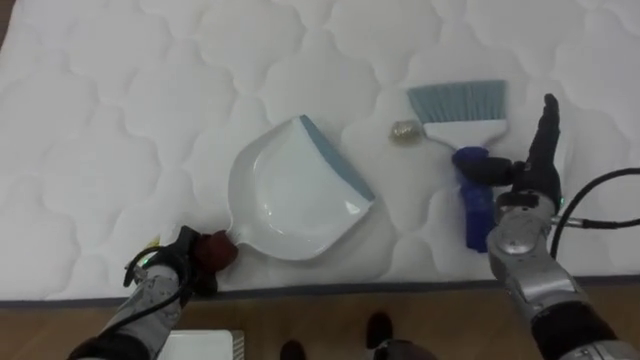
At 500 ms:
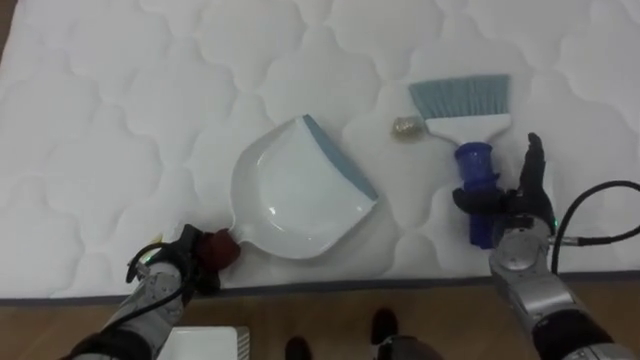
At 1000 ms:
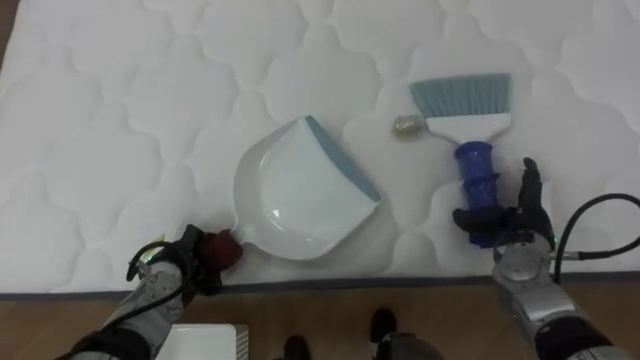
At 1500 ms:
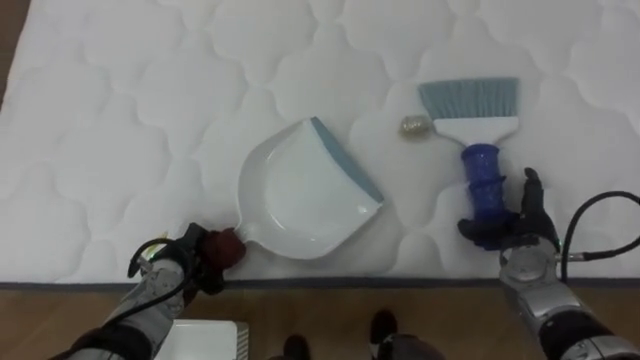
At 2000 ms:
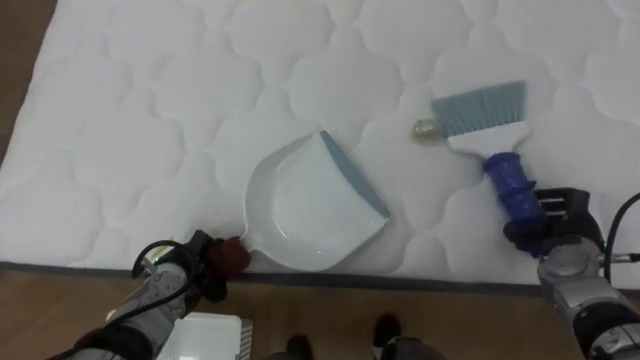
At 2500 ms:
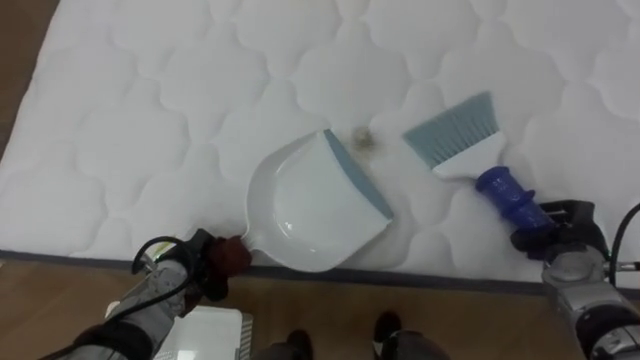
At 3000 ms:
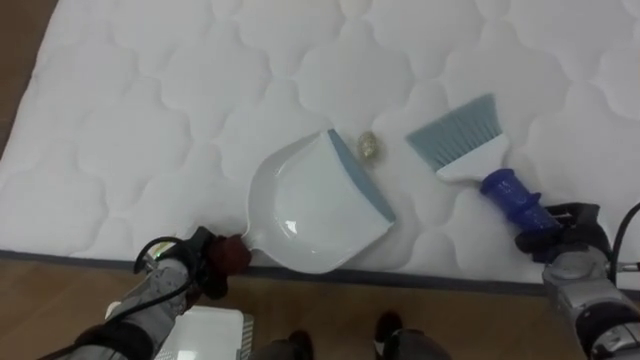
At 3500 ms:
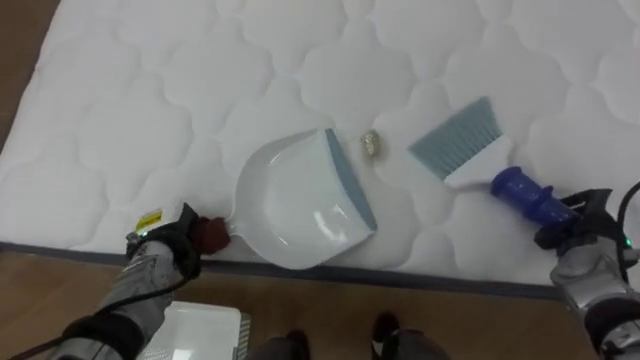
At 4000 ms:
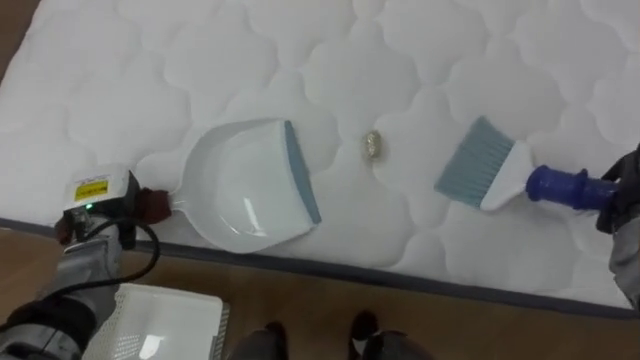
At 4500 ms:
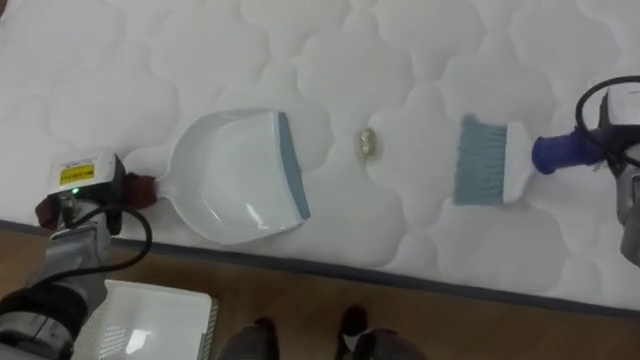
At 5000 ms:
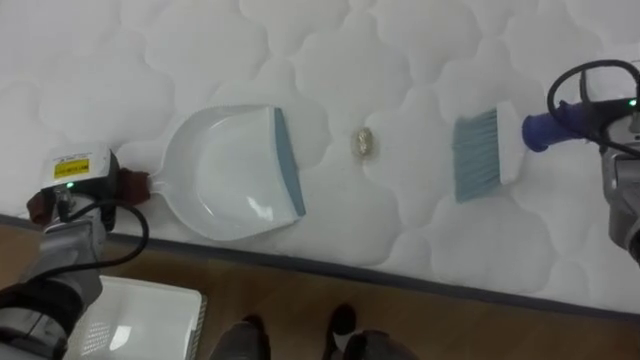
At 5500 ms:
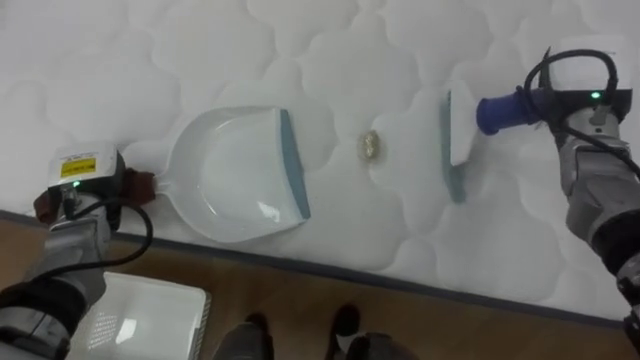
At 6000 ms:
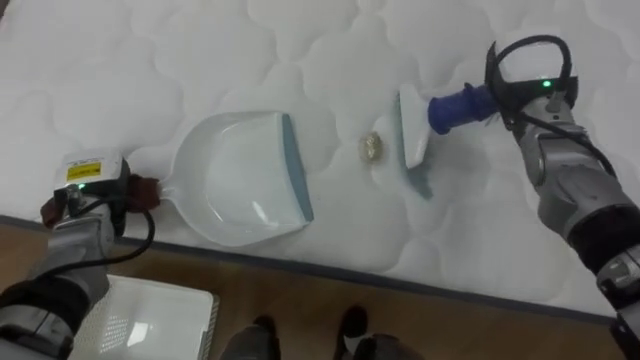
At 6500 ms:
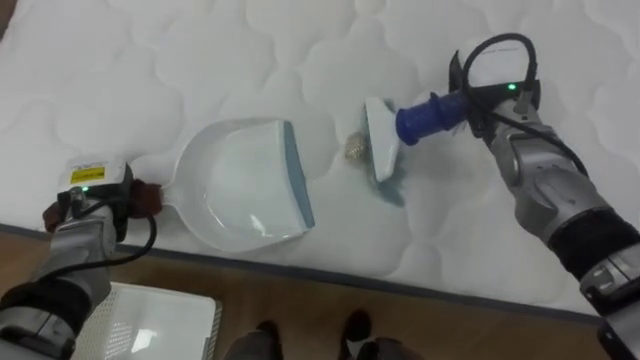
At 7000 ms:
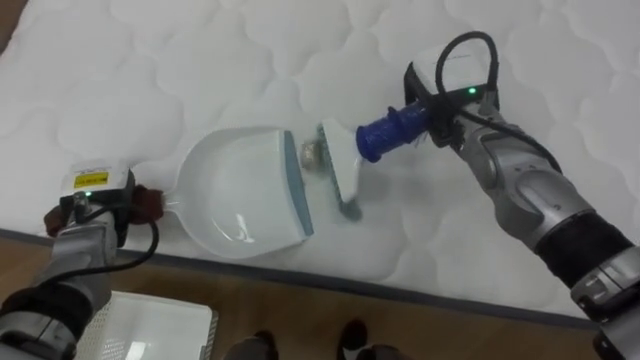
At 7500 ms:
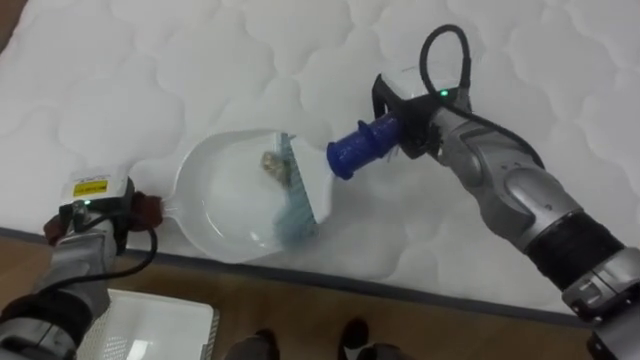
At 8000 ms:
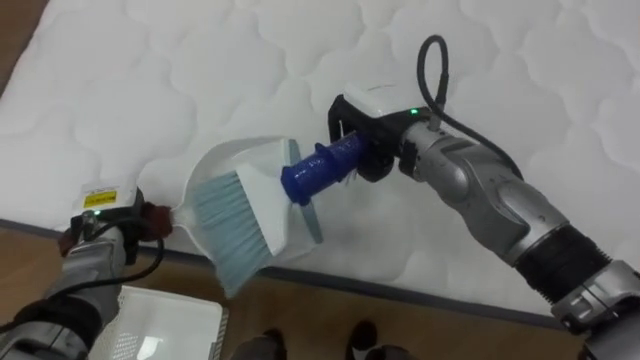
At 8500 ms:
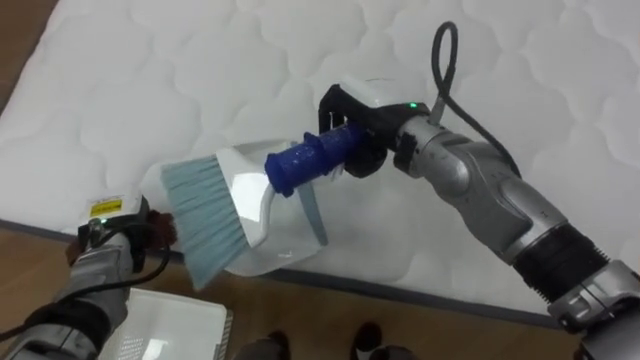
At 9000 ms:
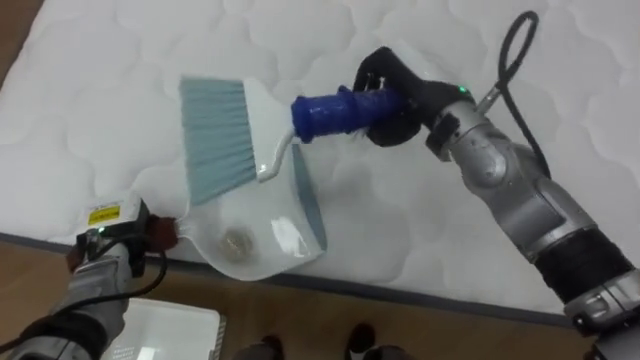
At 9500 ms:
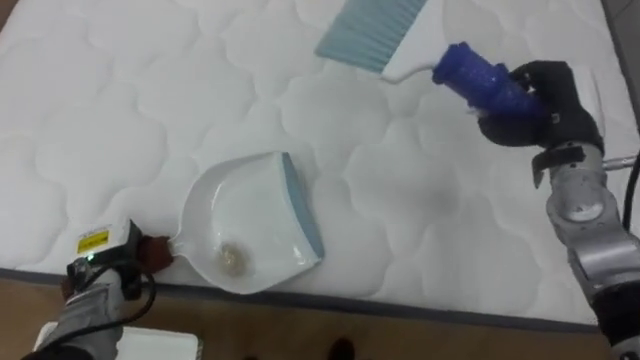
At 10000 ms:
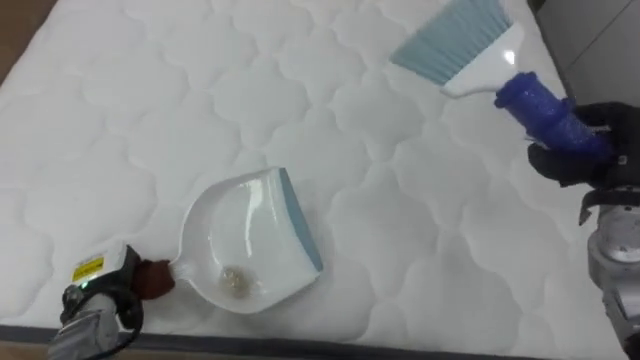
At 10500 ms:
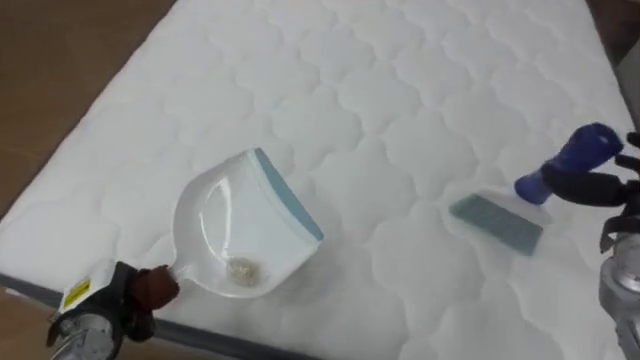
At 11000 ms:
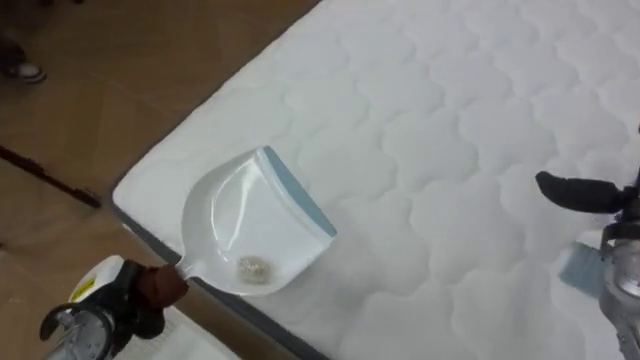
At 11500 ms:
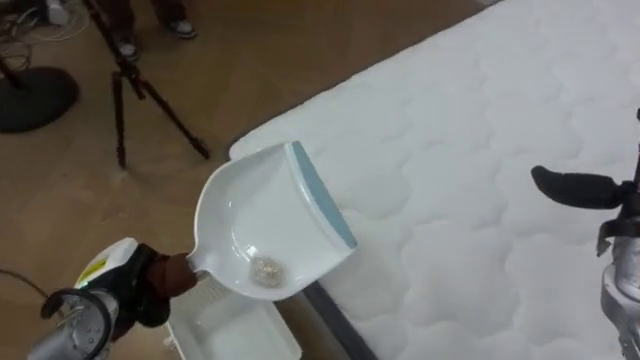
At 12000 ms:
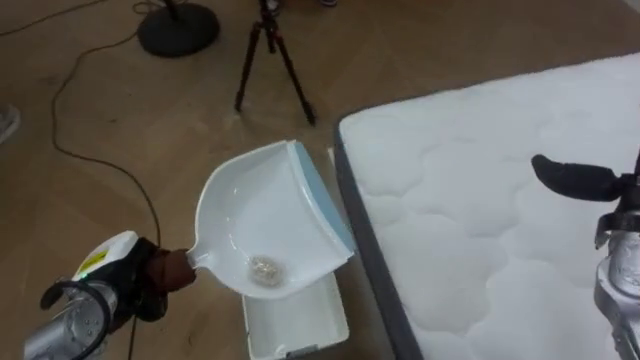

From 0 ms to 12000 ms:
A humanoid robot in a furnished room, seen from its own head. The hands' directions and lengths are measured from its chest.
Task of the whole recording: Pick up the brush on your right and the dustpan on your left. Use the brush to sweep the crumpled paper on the bed into the dustpan, then turn left and empty it into the basket.
From 0 ms to 2000 ms: The right hand shifts some 10 cm downward and to the right, and closes its fingers.
From 2000 ms to 4000 ms: The right hand moves upward and to the right, about 10 cm. Meanwhile the left hand shifts approximately 10 cm to the left and upward.
From 4000 ms to 6000 ms: The right hand heads to the left, upward and forward, covering about 20 cm.
From 6000 ms to 8000 ms: The right hand is displaced to the left by roughly 15 cm.
From 8000 ms to 10000 ms: The right hand goes approximately 30 cm to the right. The left hand goes approximately 10 cm backward.
From 10000 ms to 12000 ms: The robot turns to its left by roughly 75 degrees.

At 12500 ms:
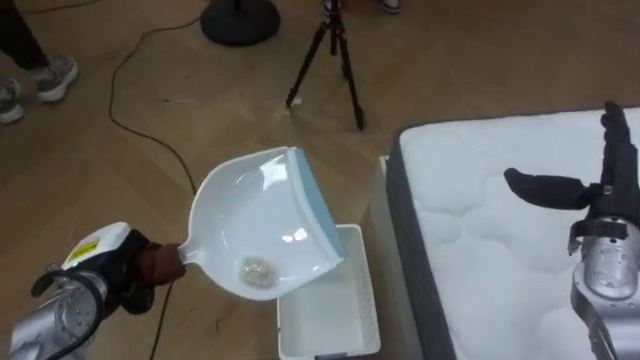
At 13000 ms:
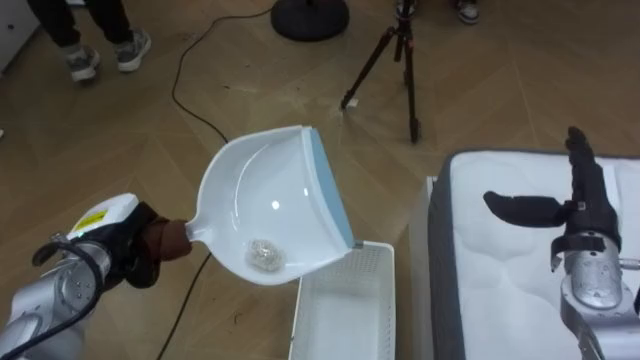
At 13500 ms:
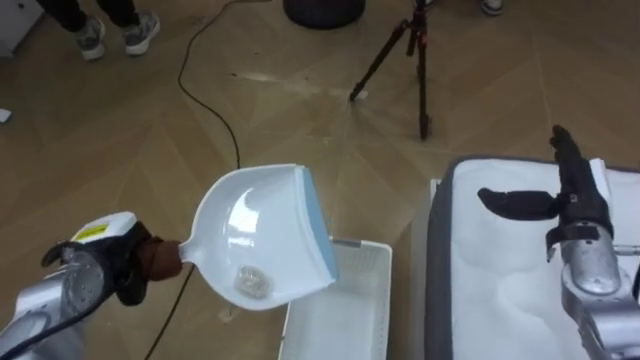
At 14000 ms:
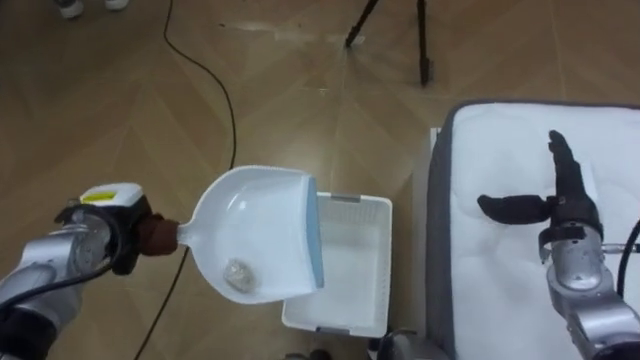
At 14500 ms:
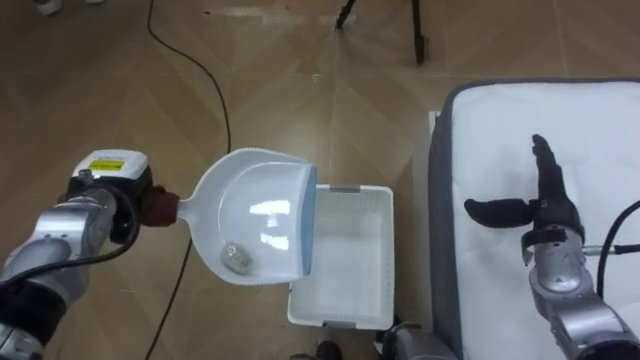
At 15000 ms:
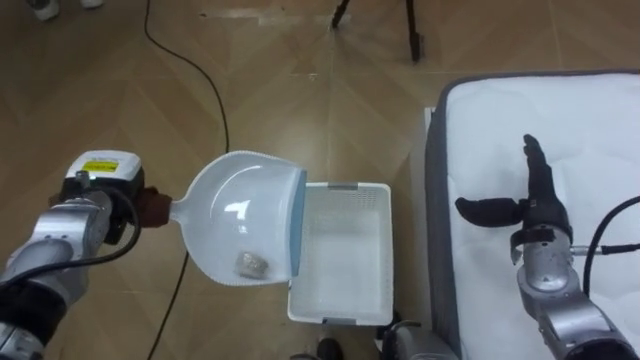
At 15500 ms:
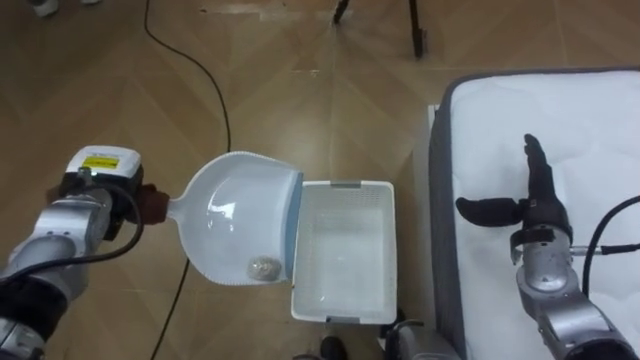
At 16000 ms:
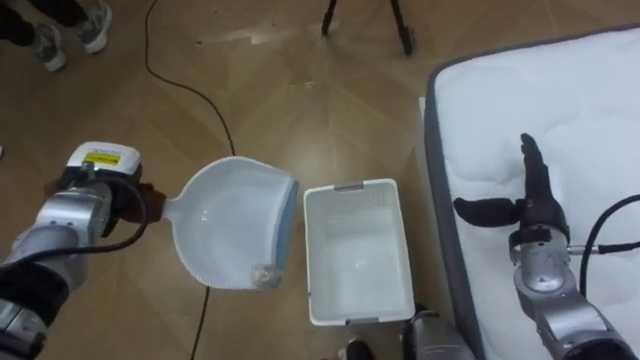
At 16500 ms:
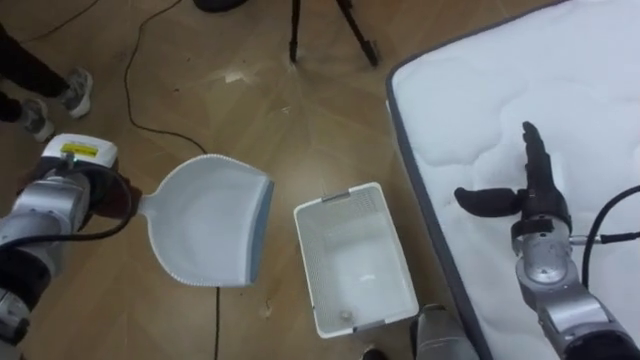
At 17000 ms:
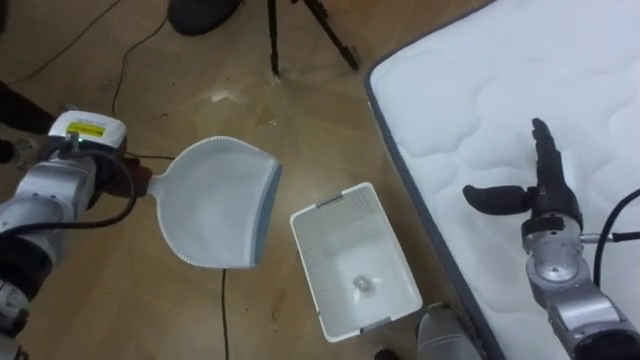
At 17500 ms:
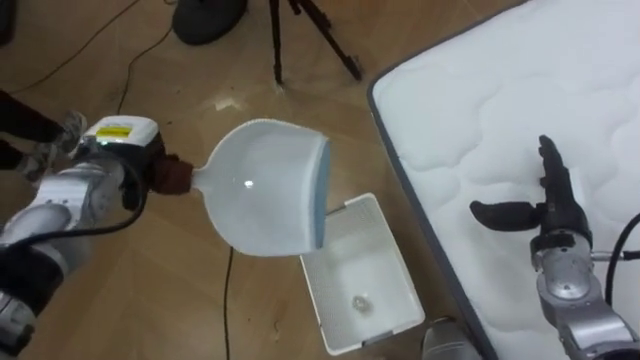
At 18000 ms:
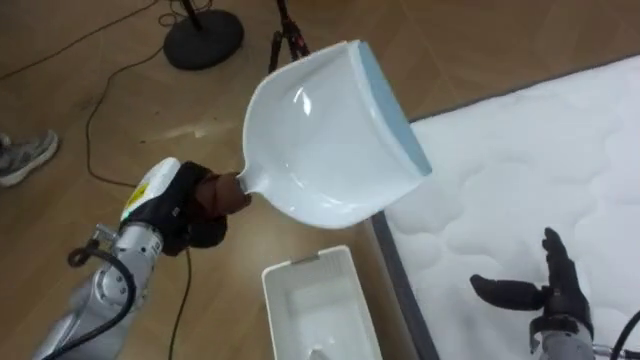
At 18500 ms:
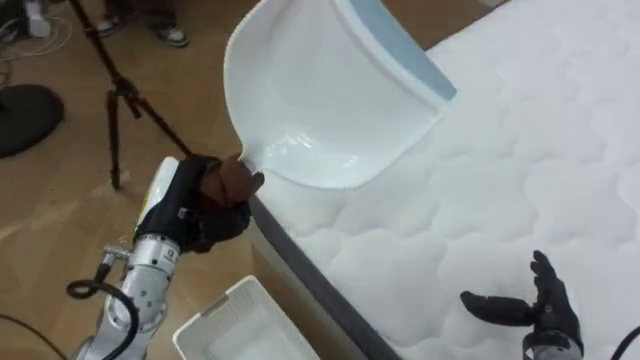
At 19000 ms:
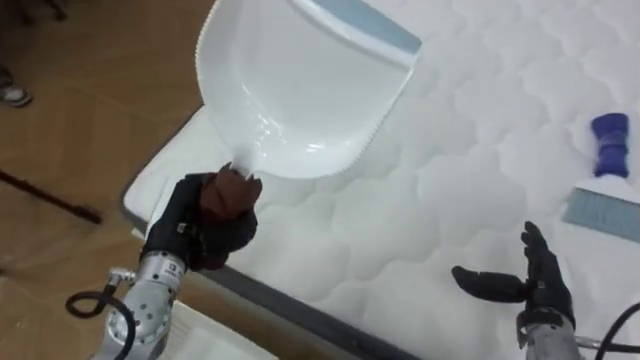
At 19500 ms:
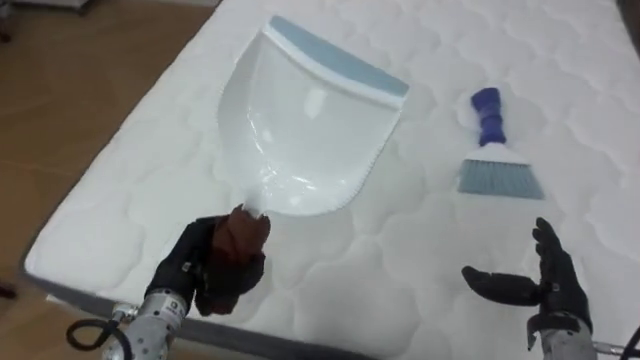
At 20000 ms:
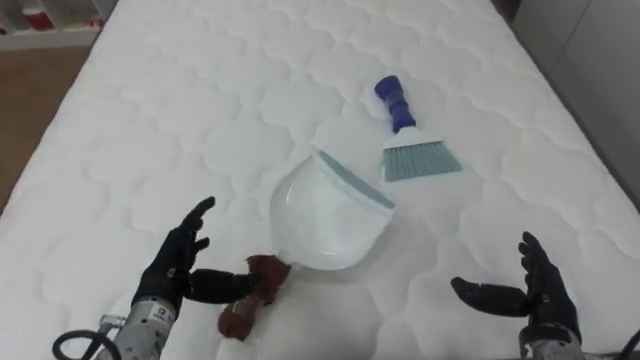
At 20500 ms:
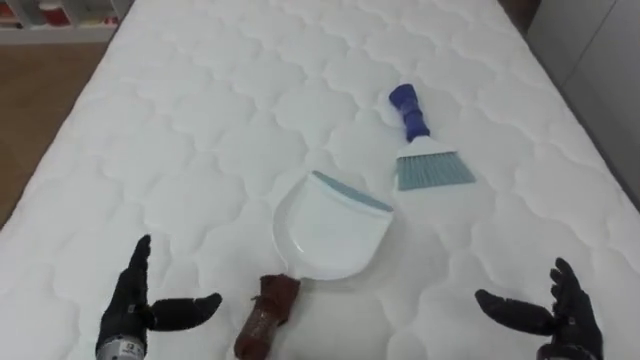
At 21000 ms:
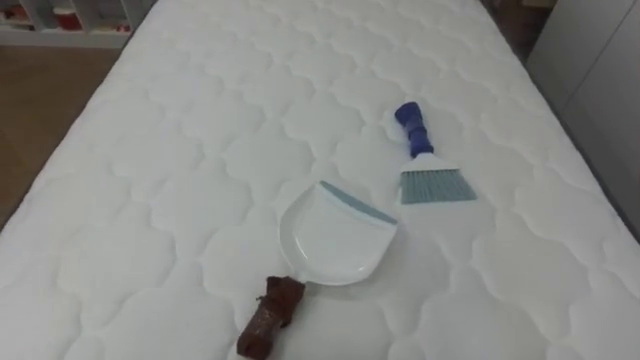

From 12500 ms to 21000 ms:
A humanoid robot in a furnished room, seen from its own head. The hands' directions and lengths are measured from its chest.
Task of the whole recording: Pick up the brush on your right and the dustpan on your left. Use the brush to sweep the crumpled paper on the bed into the dustpan, then turn left and empty it into the basket.
From 12500 ms to 14500 ms: The robot rotates approximately 15 degrees to its left. The left hand travels forward and upward by roughly 10 cm. Meanwhile the right hand heads downward, covering some 5 cm.
From 16500 ms to 19000 ms: The robot faces roughly 65 degrees further to its right. The left hand heads to the right and backward, covering some 15 cm, while the right hand heads backward and downward, covering about 15 cm.
From 19000 ms to 21000 ms: The robot's body swings approximately 30 degrees to its right.
